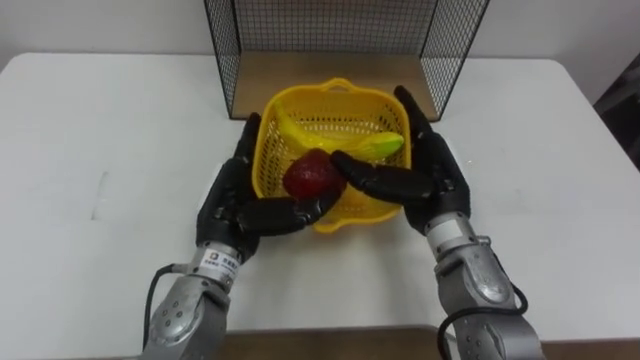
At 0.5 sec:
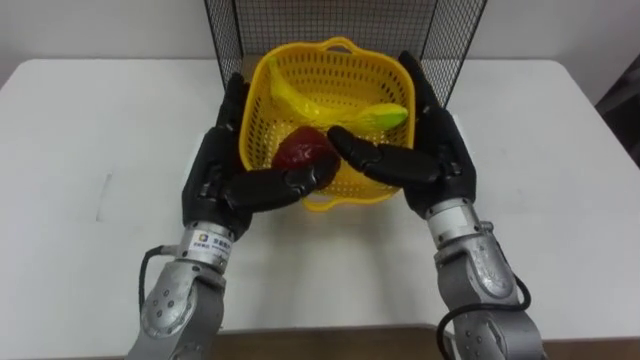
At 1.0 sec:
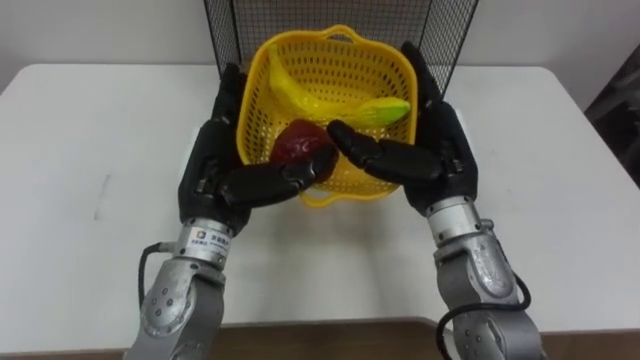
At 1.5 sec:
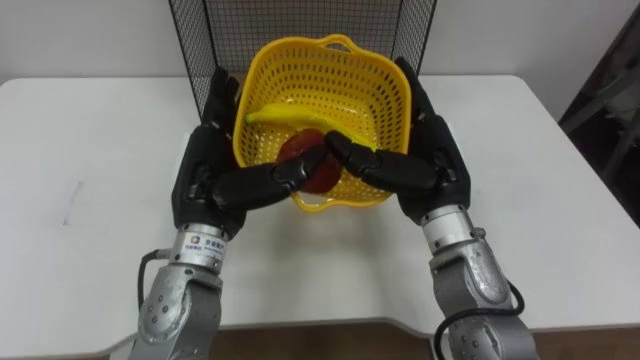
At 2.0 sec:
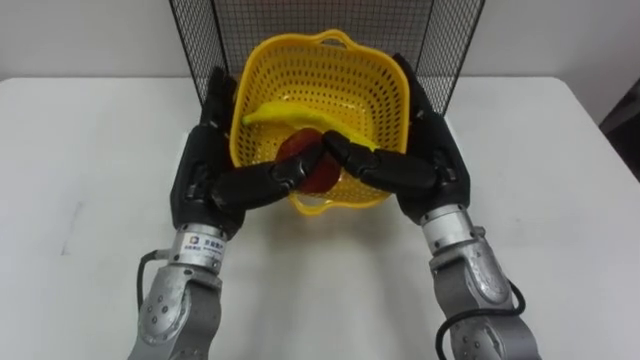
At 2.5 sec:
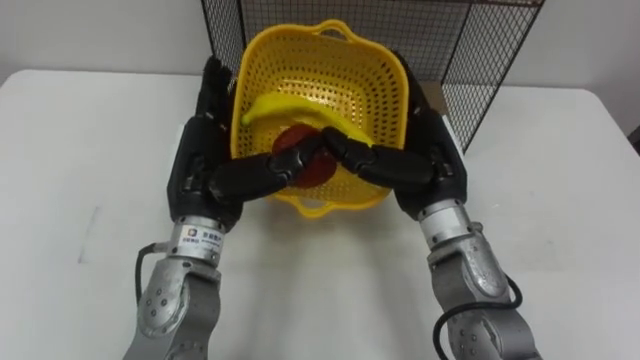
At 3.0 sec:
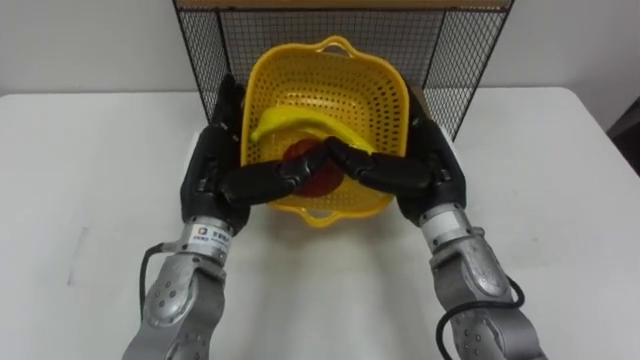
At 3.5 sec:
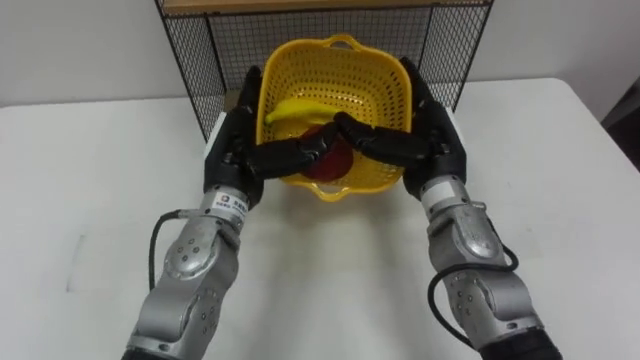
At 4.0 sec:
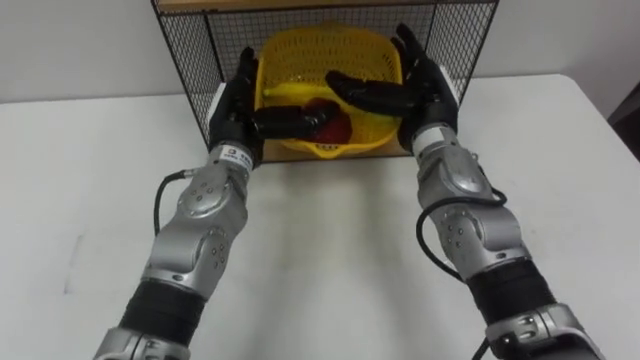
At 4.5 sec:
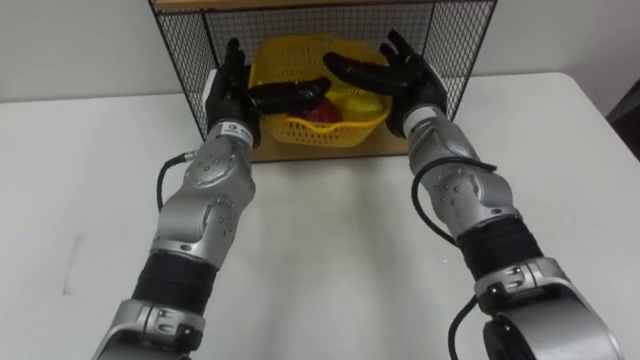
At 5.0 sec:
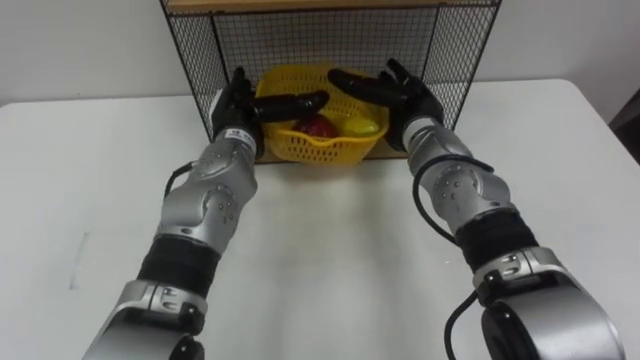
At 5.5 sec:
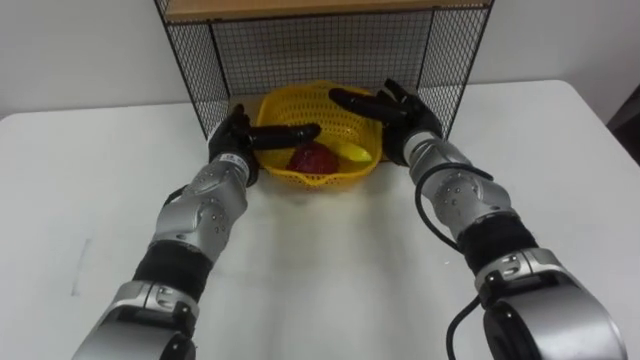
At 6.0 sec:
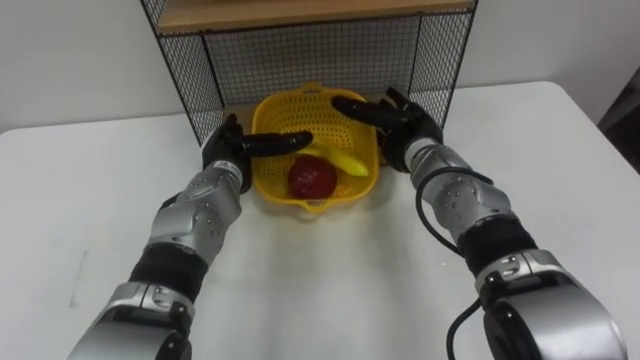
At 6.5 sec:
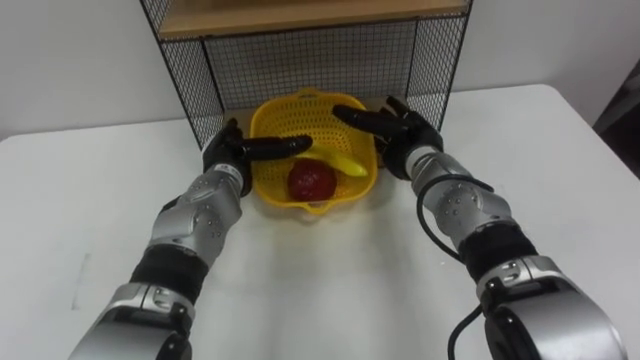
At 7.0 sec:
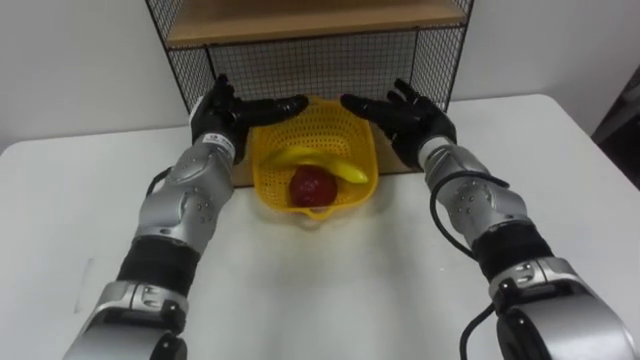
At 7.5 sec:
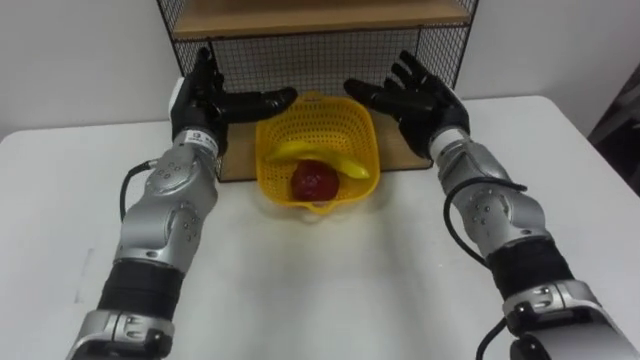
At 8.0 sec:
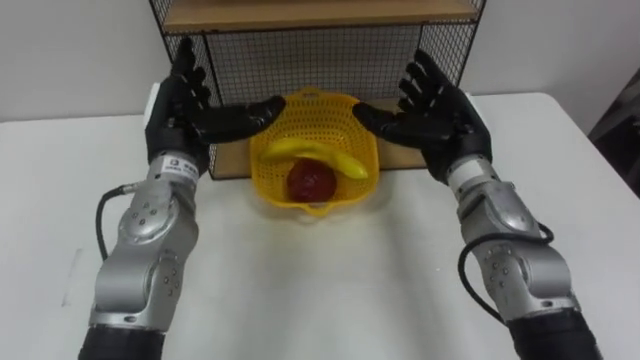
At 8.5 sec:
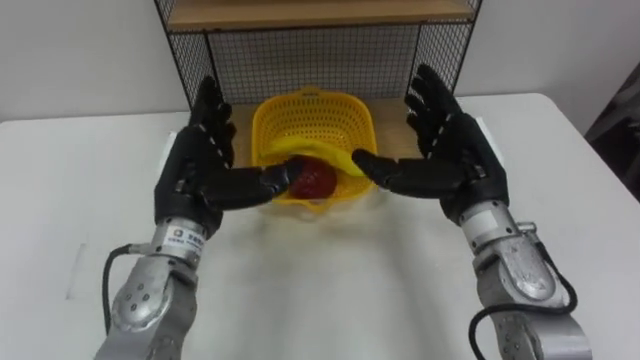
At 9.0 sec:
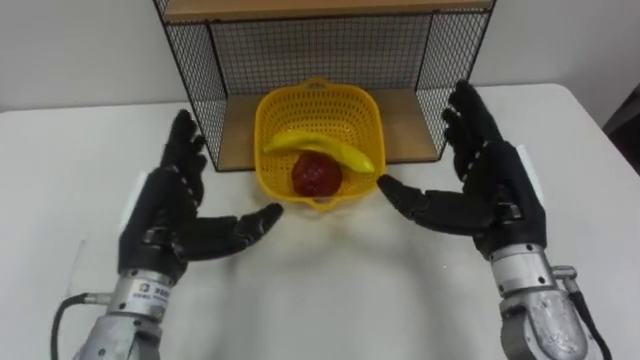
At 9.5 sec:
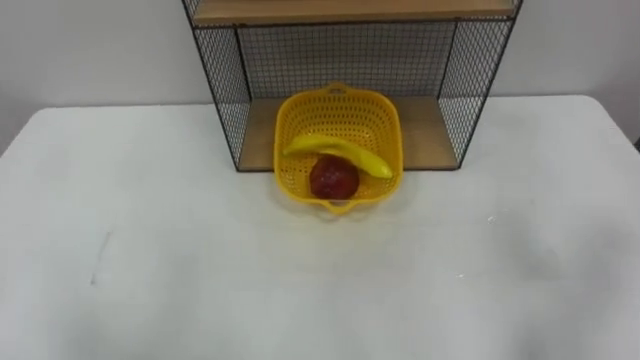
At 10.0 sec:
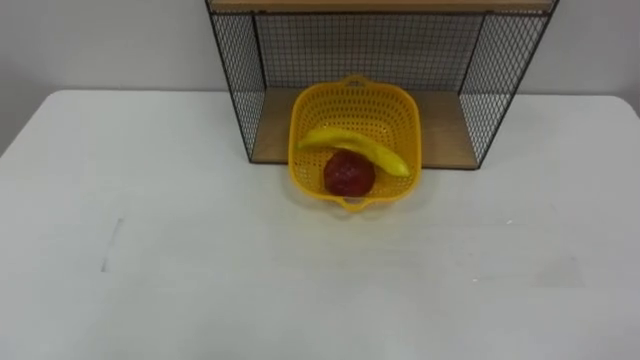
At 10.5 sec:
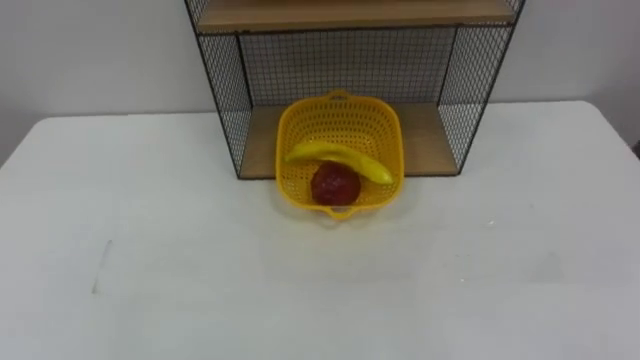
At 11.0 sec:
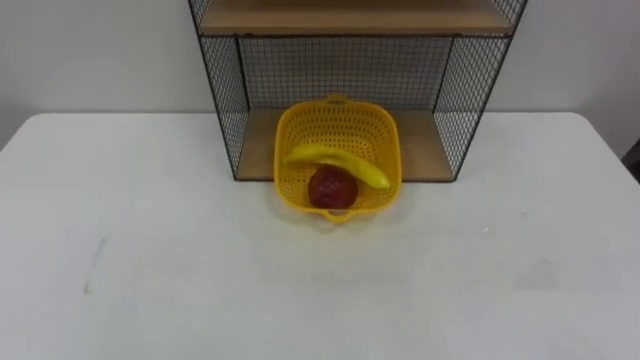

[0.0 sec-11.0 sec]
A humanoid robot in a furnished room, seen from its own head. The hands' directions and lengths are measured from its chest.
Task of the whole recording: Put the fruit on the table into the basket, then place the basket on the shelf.
0.0 sec to 2.0 sec: The left hand goes roughly 5 cm upward.
2.0 sec to 3.5 sec: The left hand ends up approximately 5 cm from where it was.
3.5 sec to 5.5 sec: The left hand travels forward and downward by some 10 cm; the right hand is displaced forward by roughly 5 cm.
5.5 sec to 7.5 sec: The left hand moves upward, approximately 5 cm.
7.5 sec to 9.0 sec: The two hands go roughly 15 cm backward.

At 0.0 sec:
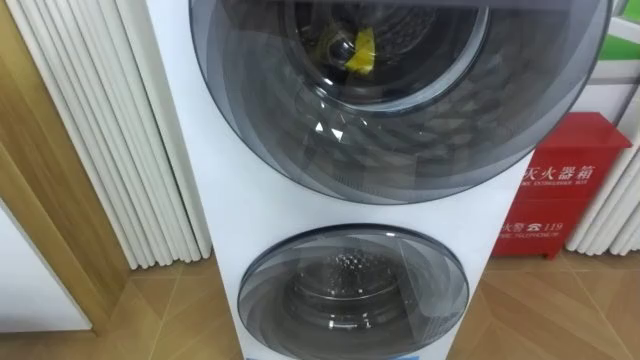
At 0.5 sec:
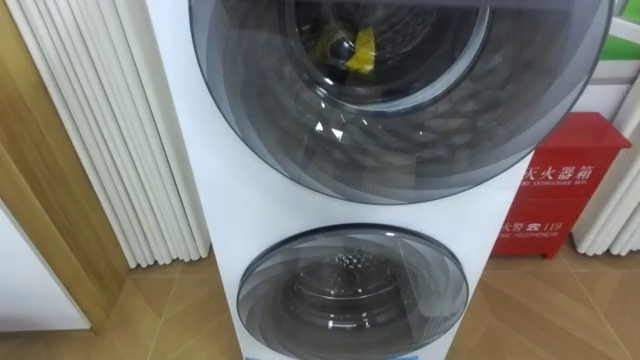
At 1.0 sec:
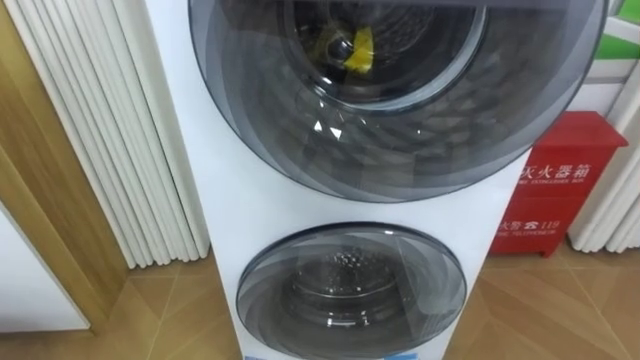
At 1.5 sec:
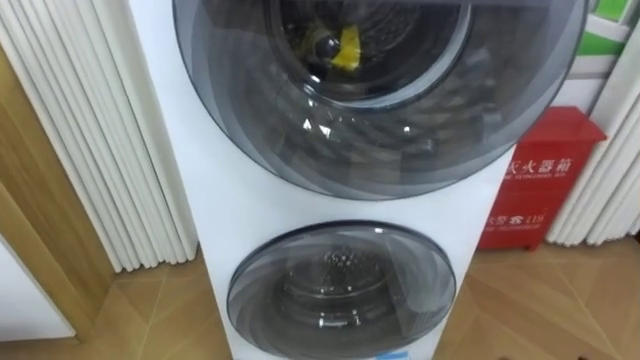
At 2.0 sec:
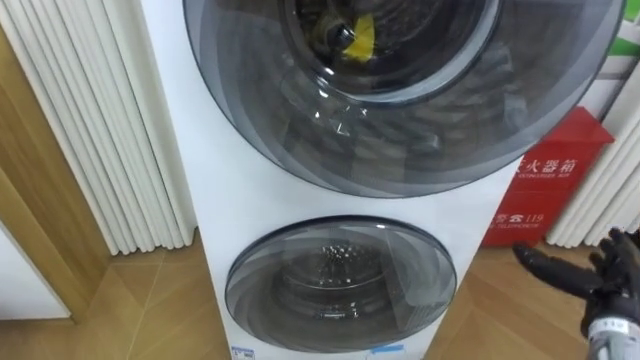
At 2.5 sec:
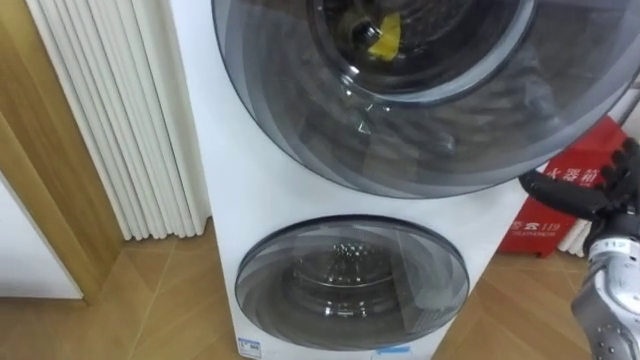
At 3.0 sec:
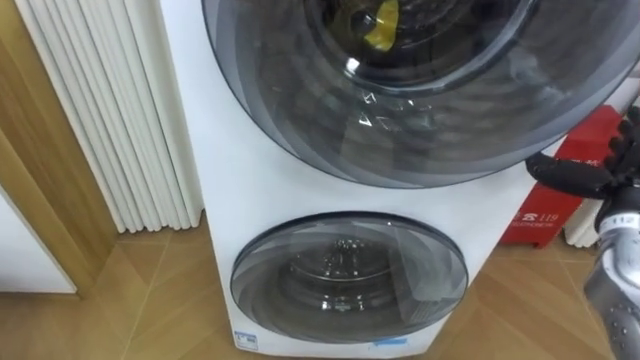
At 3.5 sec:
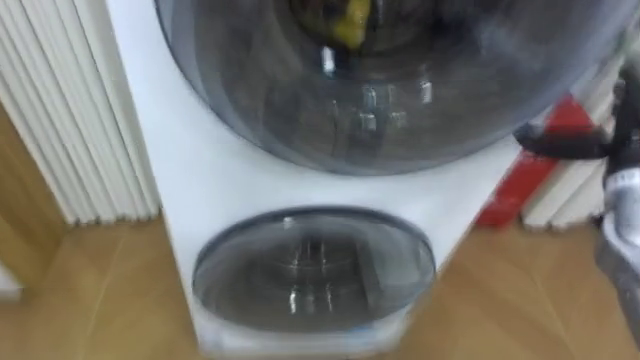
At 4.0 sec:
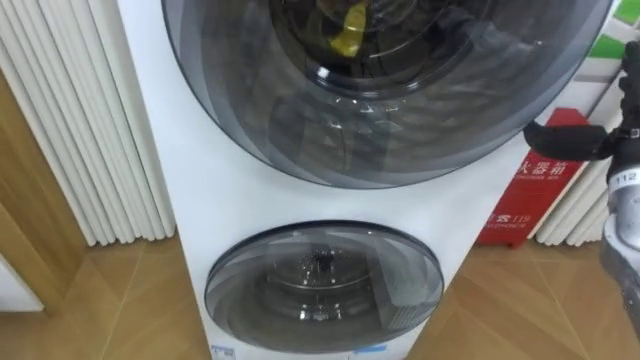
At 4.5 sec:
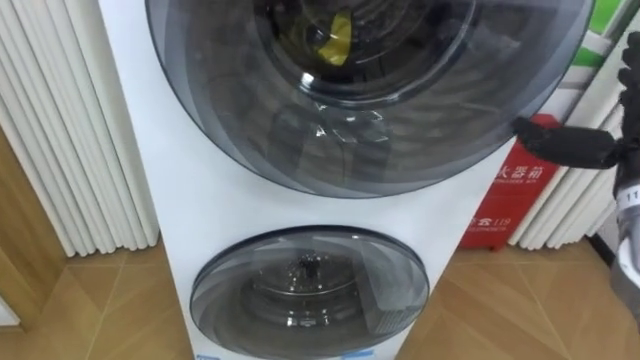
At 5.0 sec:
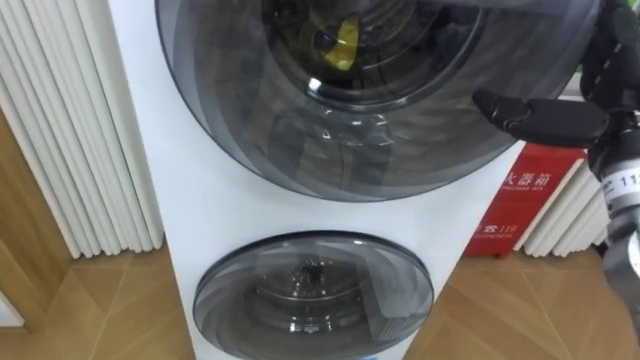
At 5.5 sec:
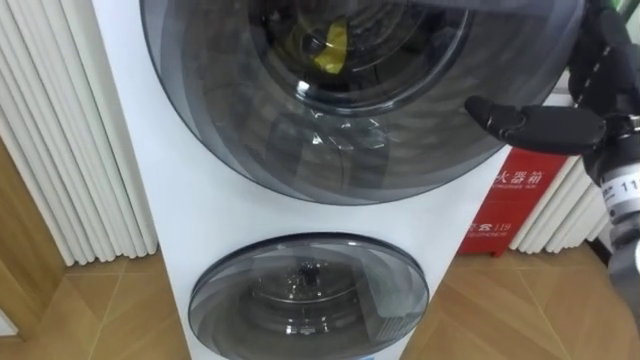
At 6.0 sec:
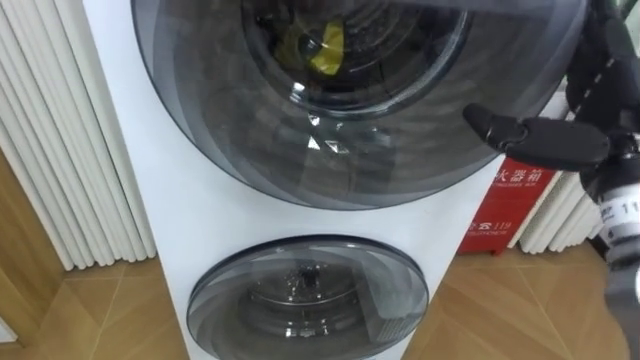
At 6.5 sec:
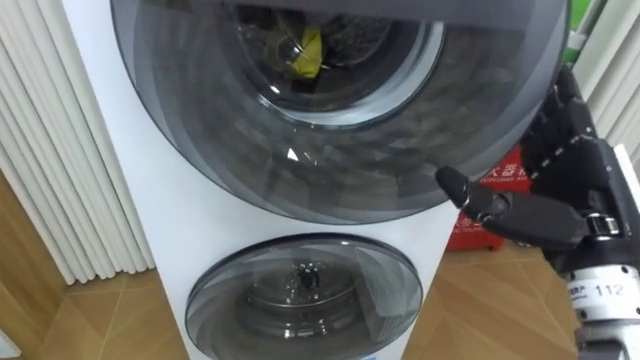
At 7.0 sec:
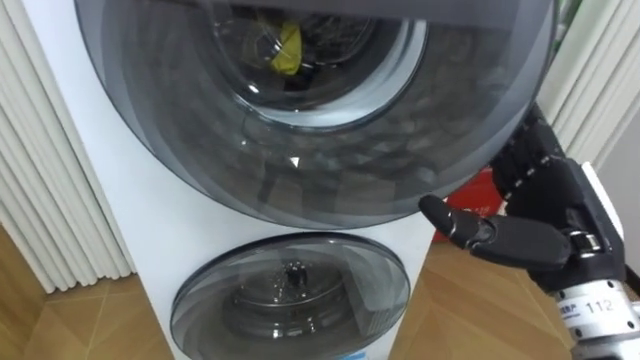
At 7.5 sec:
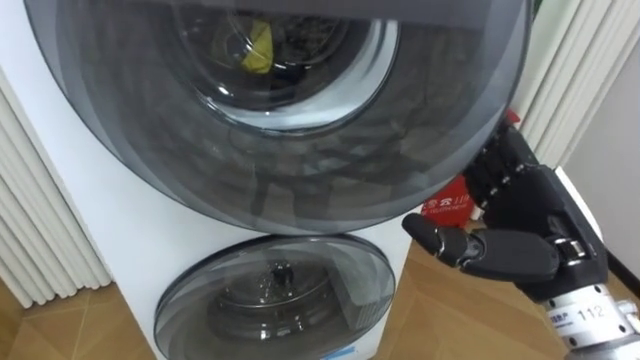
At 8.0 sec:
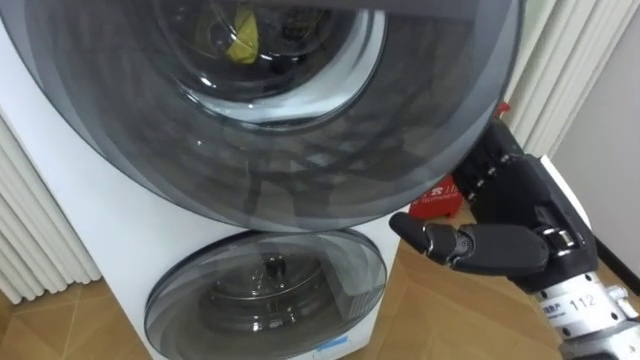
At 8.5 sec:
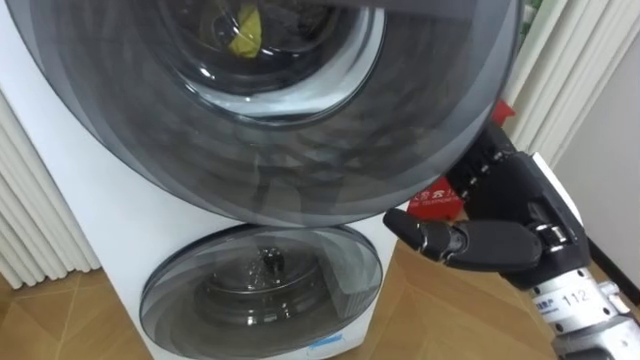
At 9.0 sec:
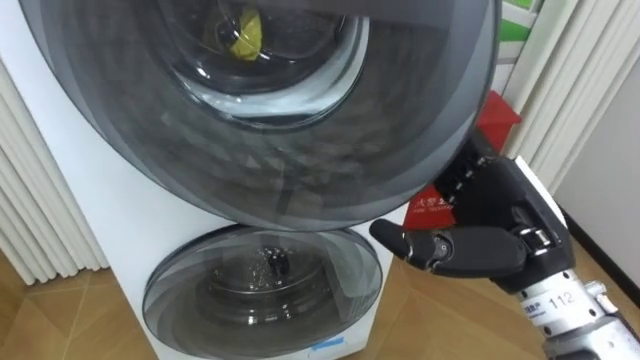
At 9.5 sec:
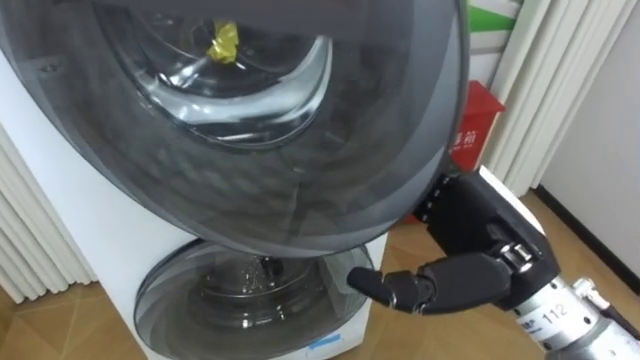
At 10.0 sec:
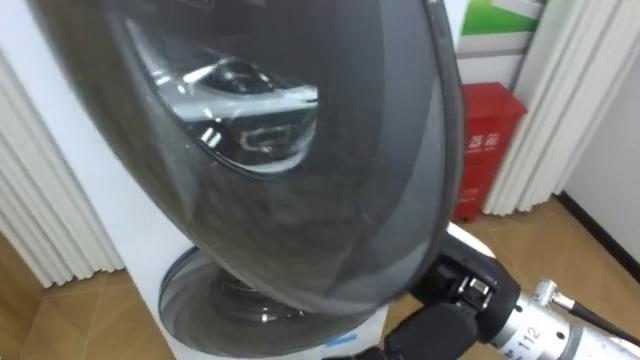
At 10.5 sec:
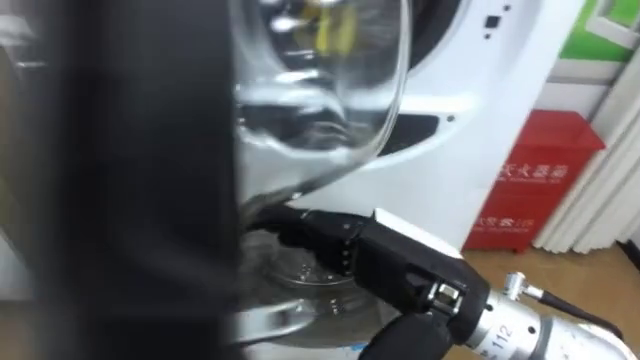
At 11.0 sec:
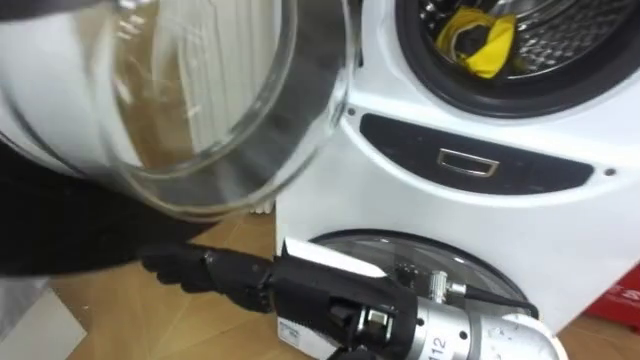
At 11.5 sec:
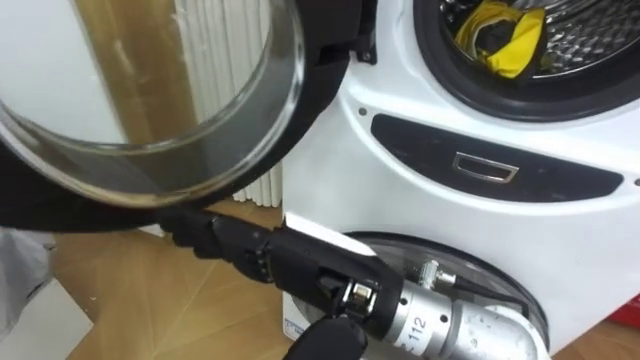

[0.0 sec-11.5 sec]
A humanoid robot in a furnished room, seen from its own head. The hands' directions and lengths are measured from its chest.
Task of the whole recording: Open the washing machine door, take out the yellow clothes, place them in the box on the right, and close the washing machine door.
2.0 sec to 4.0 sec: The right hand shifts approximately 20 cm upward and forward.
4.0 sec to 6.0 sec: The right hand moves to the left, roughly 5 cm.
6.0 sec to 7.5 sec: The right hand heads downward and to the left, covering some 10 cm.
7.5 sec to 9.5 sec: The right hand goes approximately 5 cm to the left.
9.5 sec to 11.5 sec: The right hand goes about 15 cm to the left.
